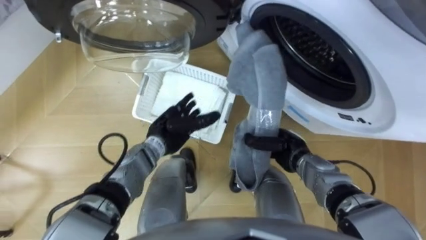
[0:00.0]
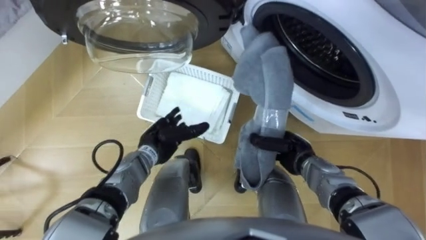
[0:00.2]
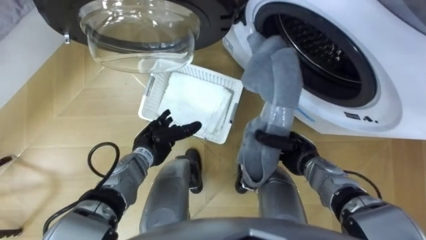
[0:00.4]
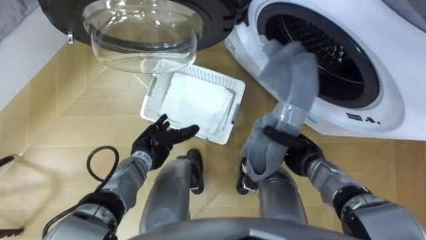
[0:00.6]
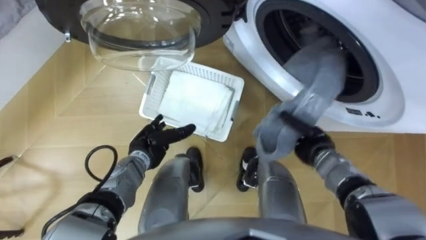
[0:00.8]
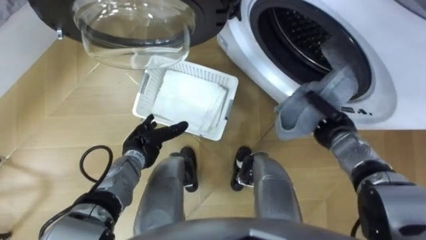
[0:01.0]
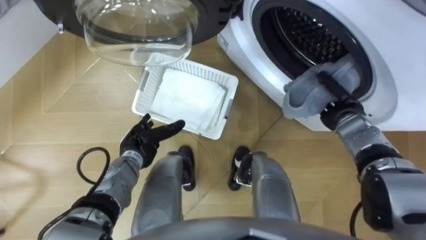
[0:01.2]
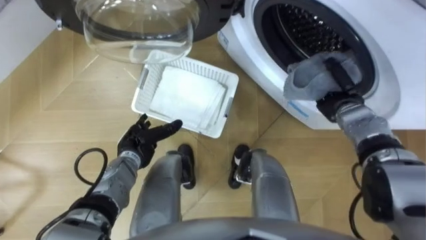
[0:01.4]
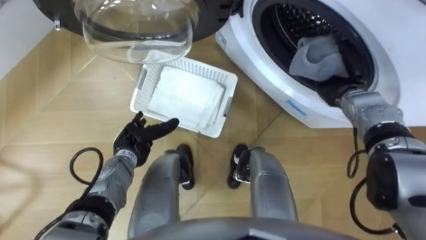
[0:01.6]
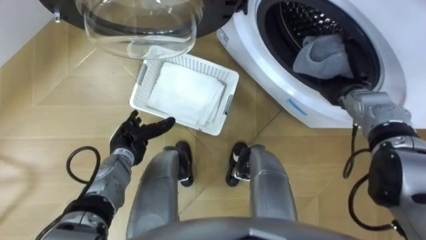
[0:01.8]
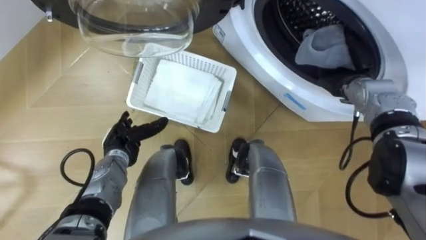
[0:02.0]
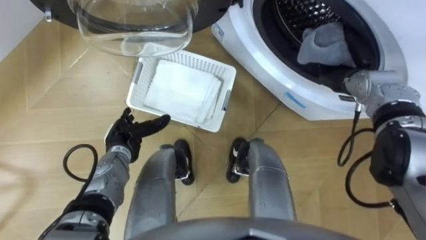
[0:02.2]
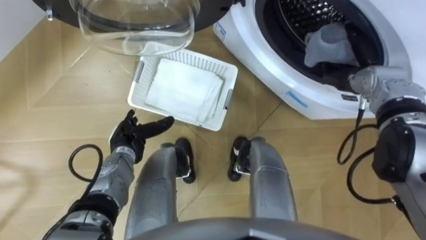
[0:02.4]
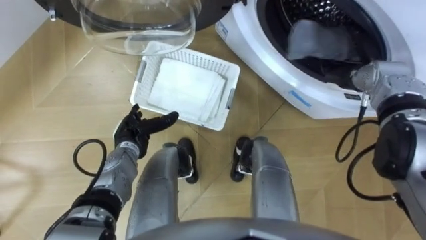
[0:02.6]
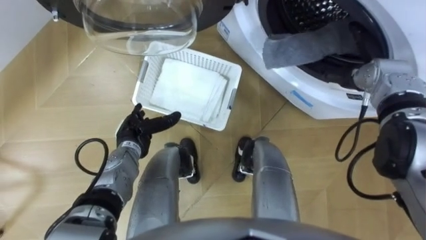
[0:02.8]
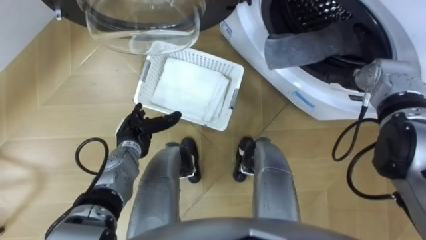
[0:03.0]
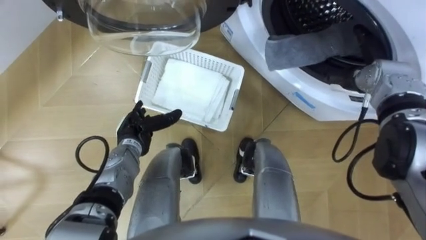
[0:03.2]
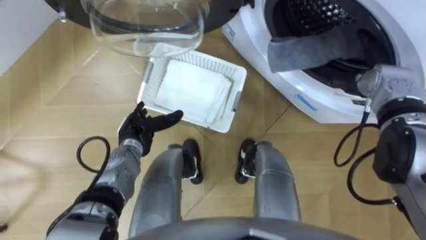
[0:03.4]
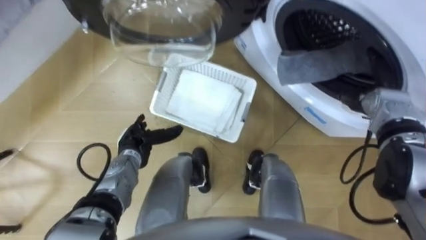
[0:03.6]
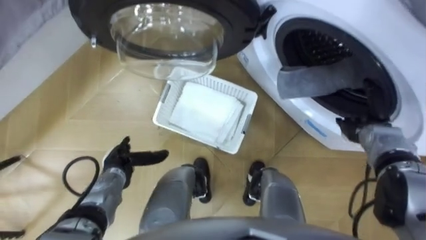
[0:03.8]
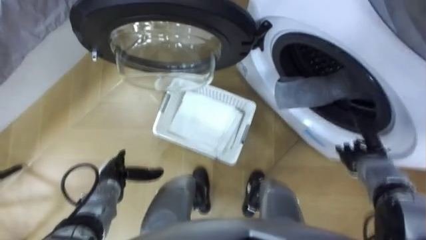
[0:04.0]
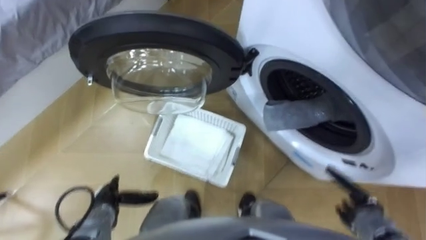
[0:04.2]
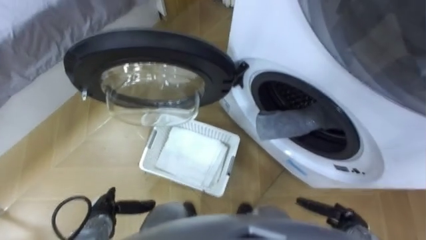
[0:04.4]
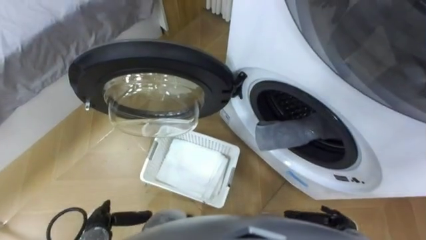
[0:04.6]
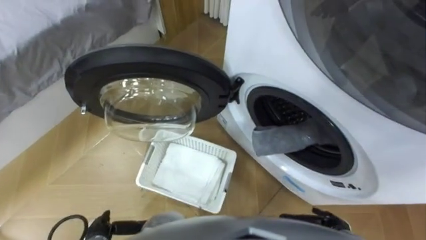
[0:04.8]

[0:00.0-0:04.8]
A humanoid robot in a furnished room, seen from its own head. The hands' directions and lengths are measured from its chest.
Task of the whole recording: Take the towel from the basket and put it into the washing machine.
0:00.0 to 0:01.6: The left hand goes some 10 cm to the left. Meanwhile the right hand travels forward, to the right and upward by about 20 cm.
0:01.6 to 0:03.2: The right hand opens.
0:03.2 to 0:04.8: The right hand travels backward and downward by some 35 cm. The left hand goes about 20 cm backward.

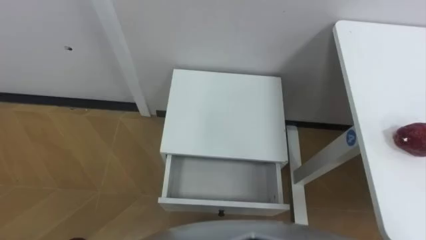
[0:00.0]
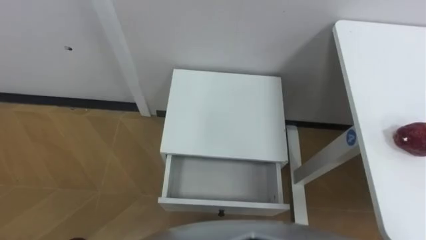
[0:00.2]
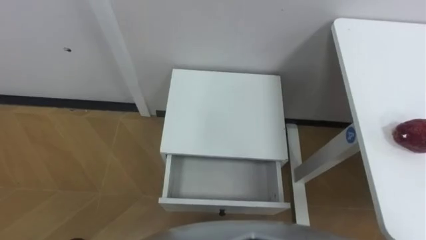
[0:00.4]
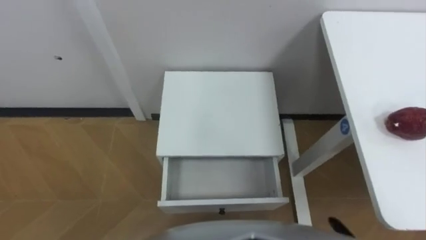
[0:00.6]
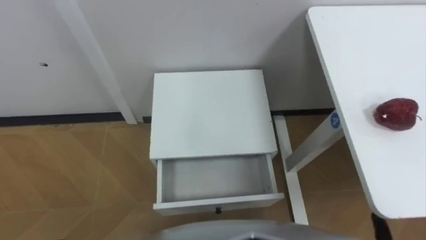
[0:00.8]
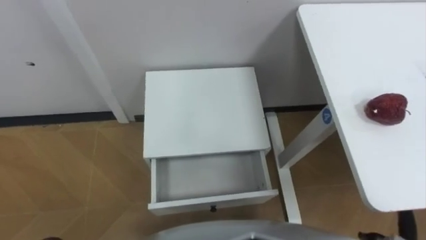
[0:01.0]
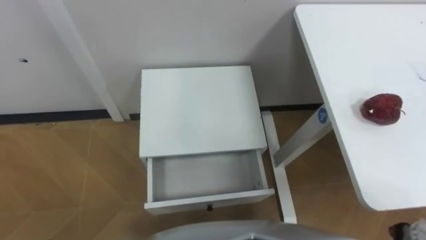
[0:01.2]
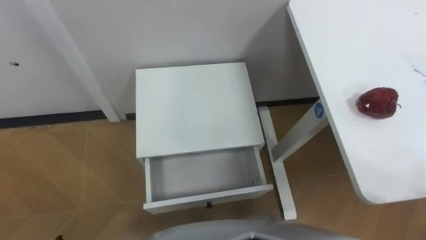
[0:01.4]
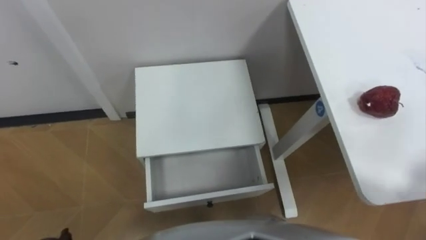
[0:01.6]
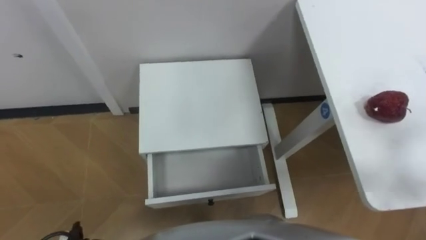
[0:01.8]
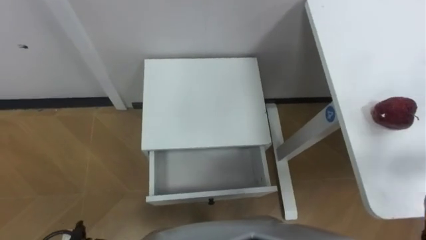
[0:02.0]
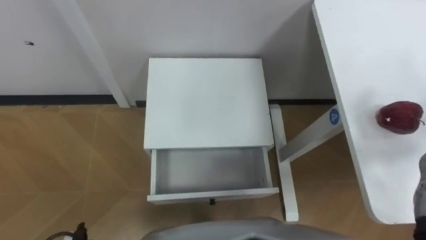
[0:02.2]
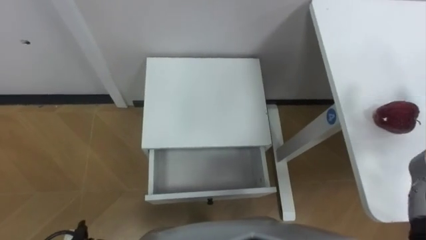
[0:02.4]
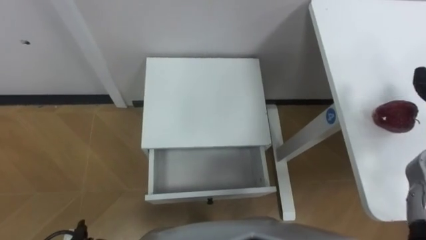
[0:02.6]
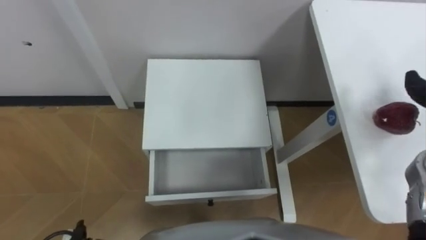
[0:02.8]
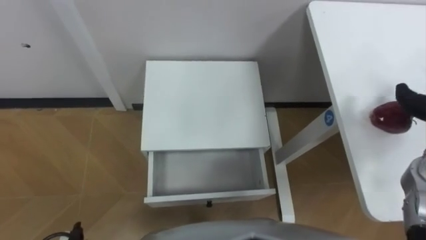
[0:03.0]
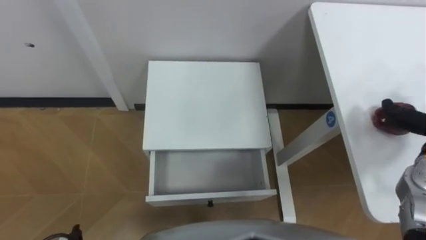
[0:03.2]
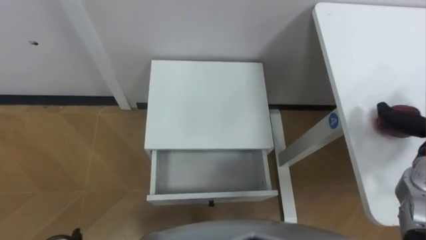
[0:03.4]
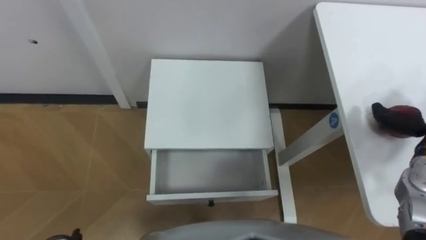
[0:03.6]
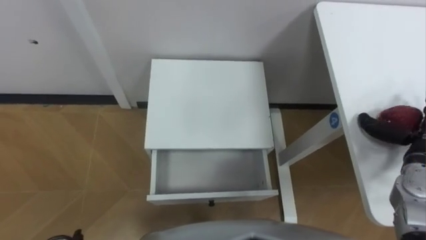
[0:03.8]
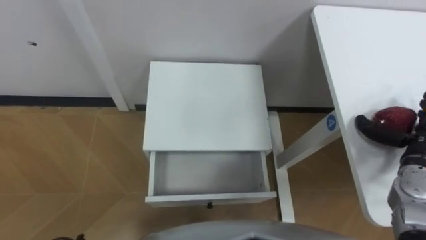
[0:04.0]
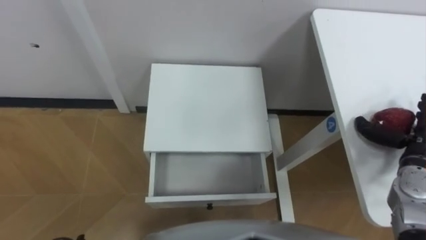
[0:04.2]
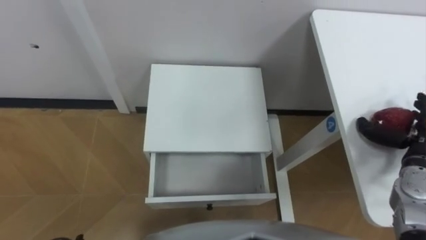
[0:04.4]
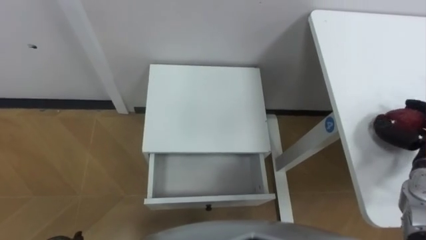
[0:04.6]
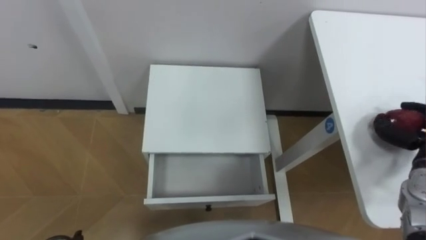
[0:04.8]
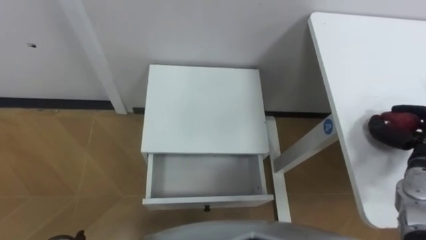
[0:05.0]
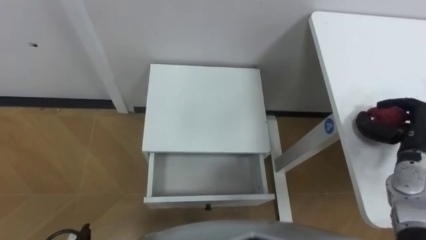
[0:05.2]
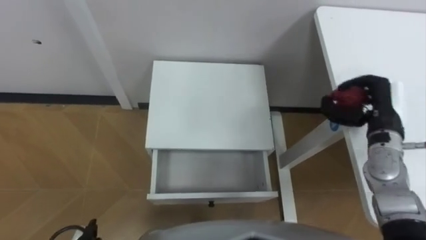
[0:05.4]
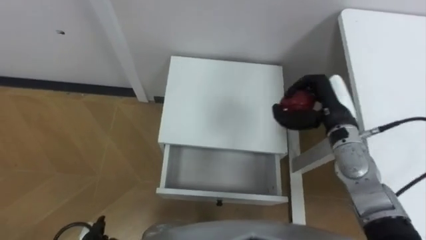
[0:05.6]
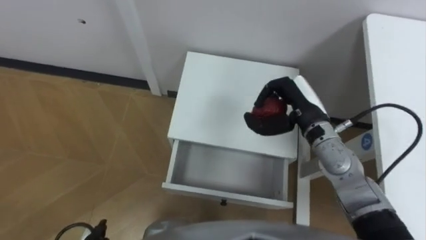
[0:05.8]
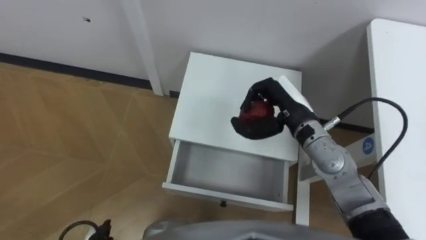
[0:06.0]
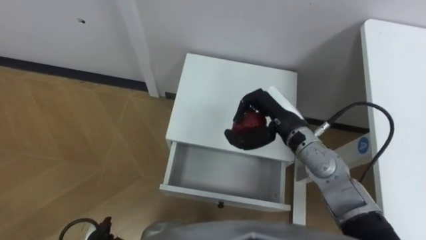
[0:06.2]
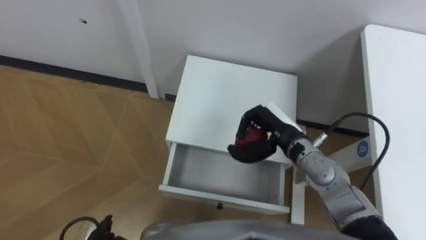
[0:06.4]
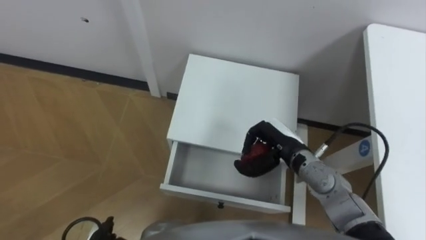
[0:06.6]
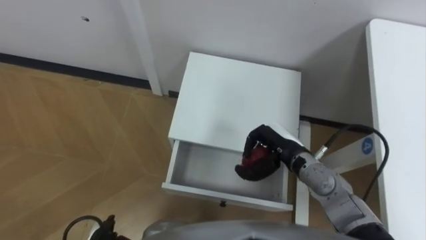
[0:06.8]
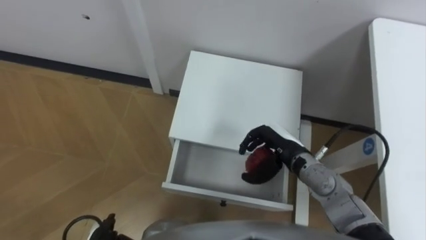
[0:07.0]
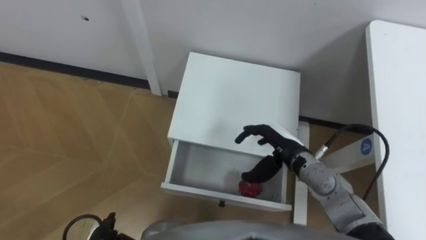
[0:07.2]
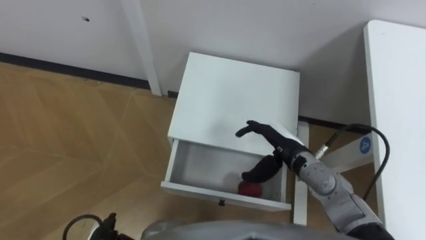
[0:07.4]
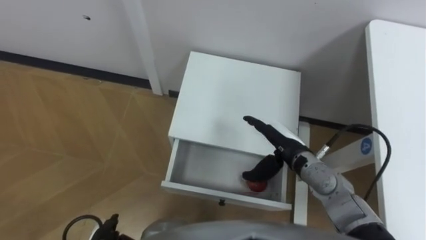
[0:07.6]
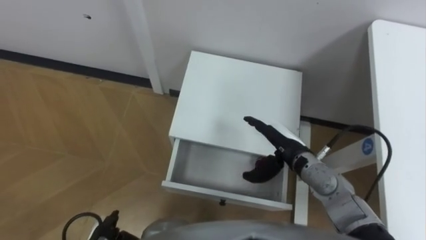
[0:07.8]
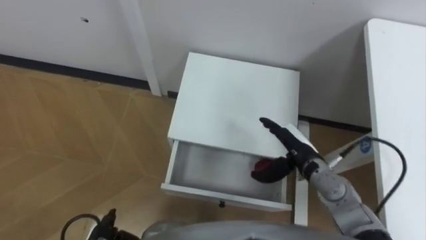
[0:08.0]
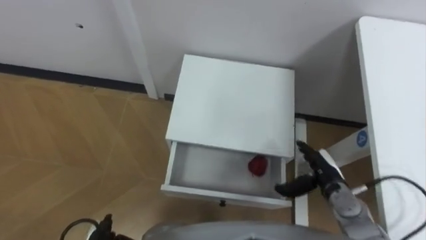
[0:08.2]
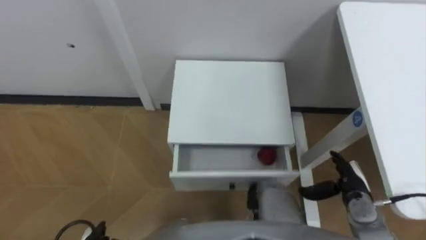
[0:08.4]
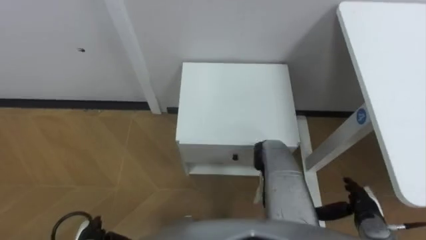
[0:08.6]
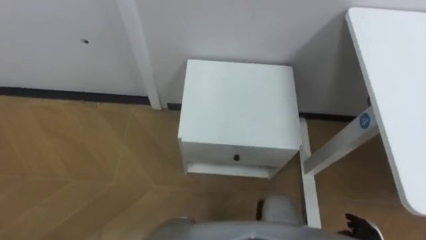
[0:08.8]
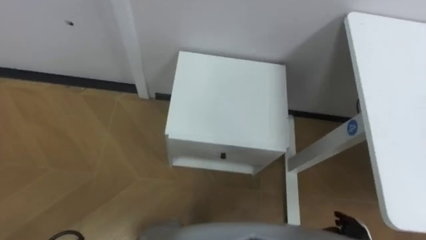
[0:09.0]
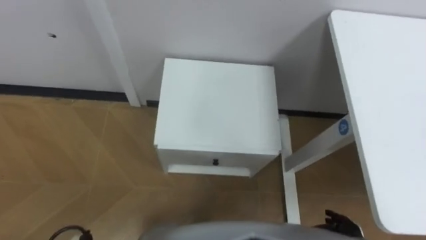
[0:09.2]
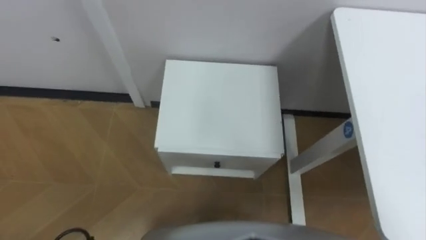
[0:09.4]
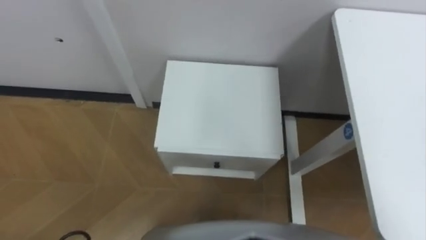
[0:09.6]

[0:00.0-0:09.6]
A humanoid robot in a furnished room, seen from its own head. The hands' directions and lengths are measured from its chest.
Task of the whole recording: Pick up the apple from the table, put it in the drawer, and close the drawer with leg.
0:06.4 to 0:08.0: The right hand ends up roughly 5 cm from where it was, and opens.

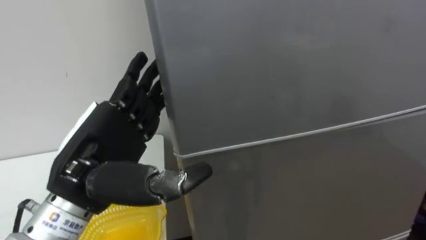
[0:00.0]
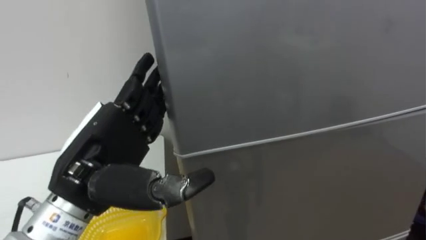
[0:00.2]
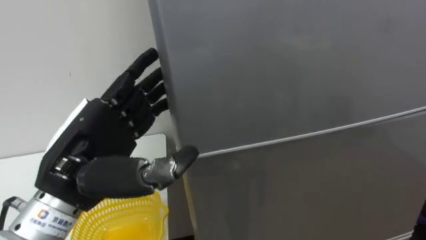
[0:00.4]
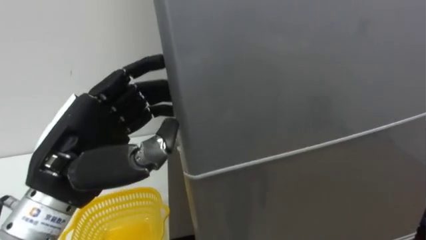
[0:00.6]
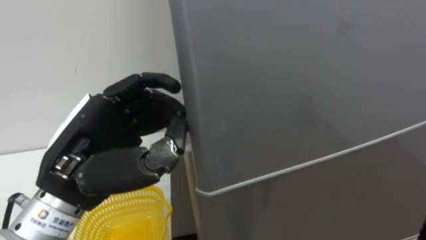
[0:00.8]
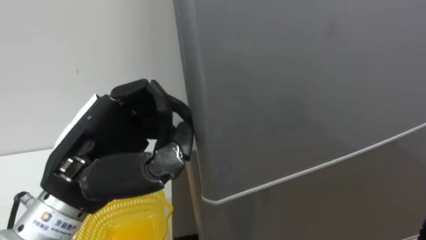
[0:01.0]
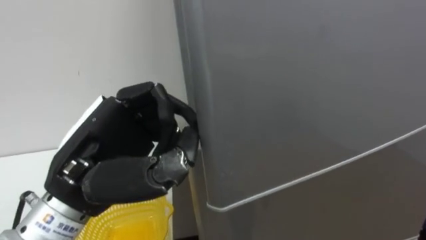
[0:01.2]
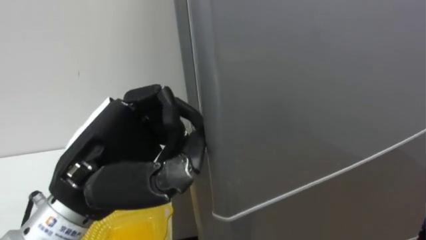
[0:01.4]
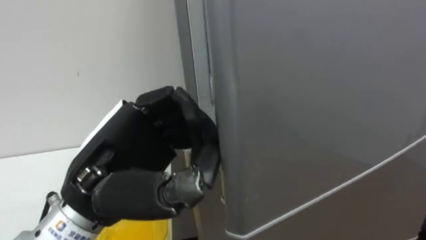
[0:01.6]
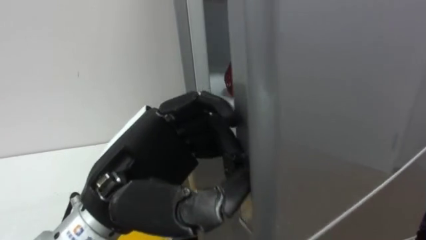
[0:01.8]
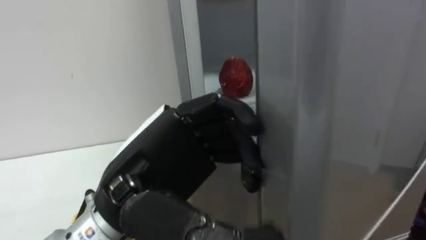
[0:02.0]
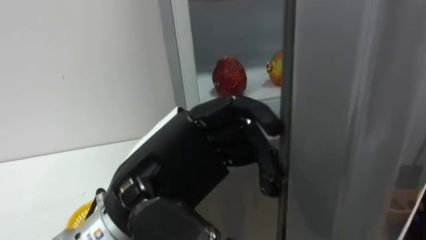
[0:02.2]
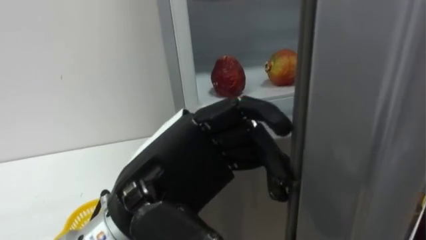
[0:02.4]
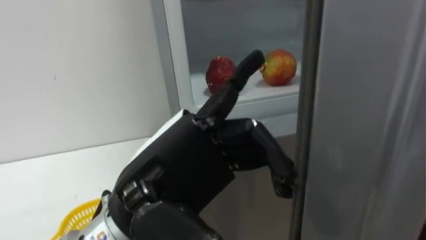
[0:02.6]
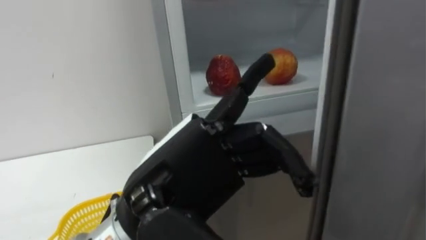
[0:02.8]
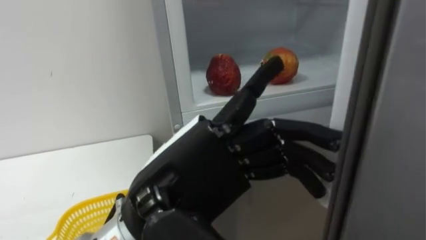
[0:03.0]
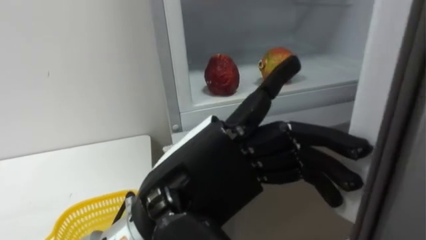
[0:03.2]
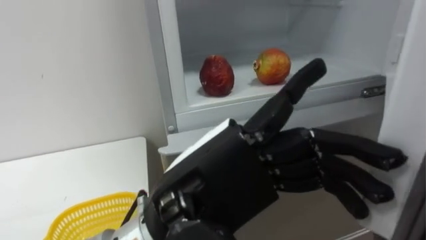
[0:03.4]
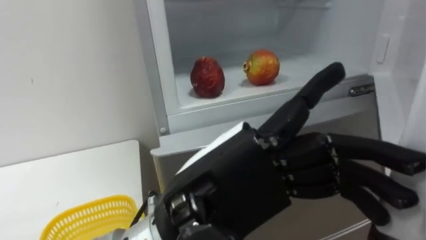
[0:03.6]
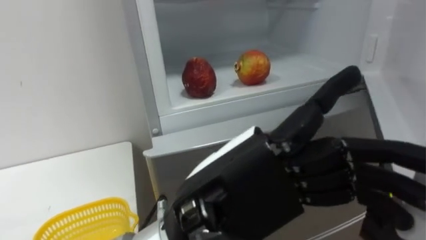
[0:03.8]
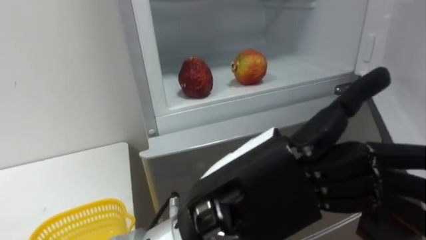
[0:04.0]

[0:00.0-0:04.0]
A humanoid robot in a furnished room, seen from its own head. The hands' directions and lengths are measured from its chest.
Task of the whole recording: Open the refrigerator door, take out the apple and the pomegranate, place them in the fruit basket on the left, and close the refrigerator door.
0:00.0 to 0:01.4: The left hand closes its fingers.
0:01.4 to 0:02.6: The left hand shifts roughly 5 cm to the right, and opens.
0:02.6 to 0:04.0: The left hand travels to the right by approximately 5 cm.
